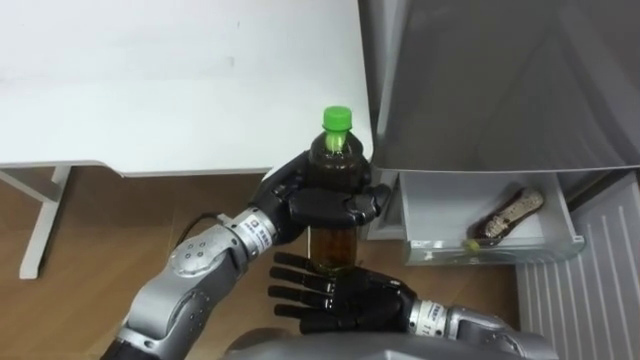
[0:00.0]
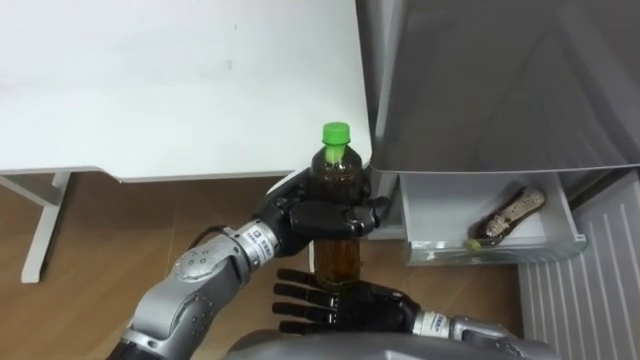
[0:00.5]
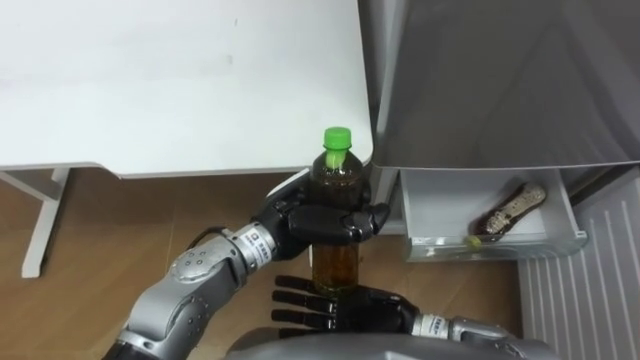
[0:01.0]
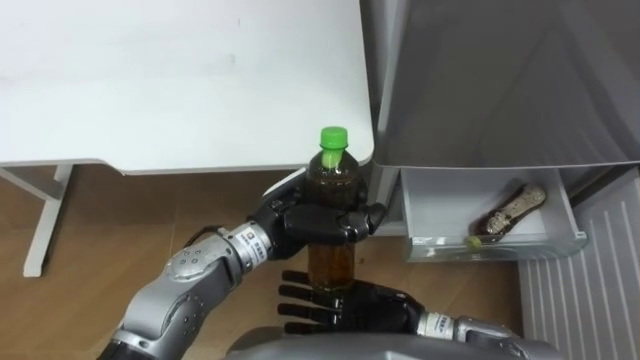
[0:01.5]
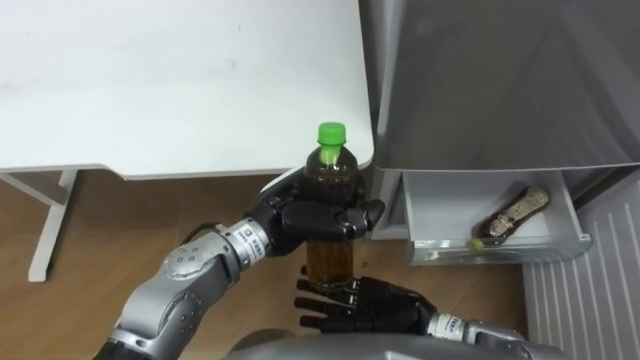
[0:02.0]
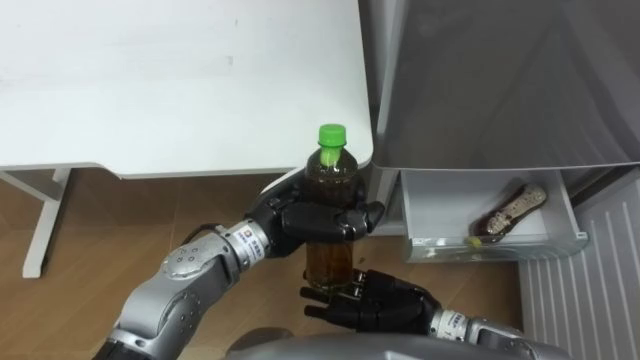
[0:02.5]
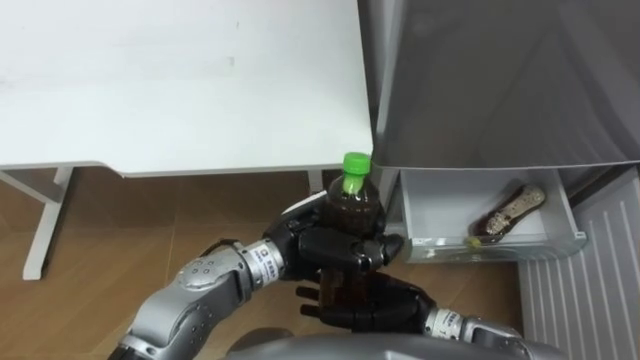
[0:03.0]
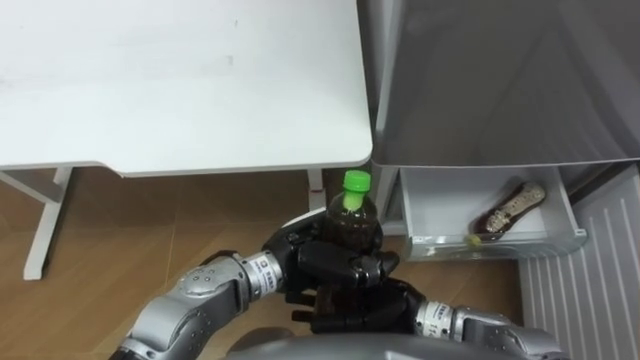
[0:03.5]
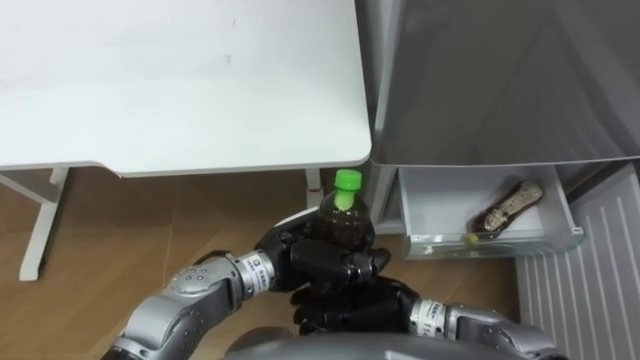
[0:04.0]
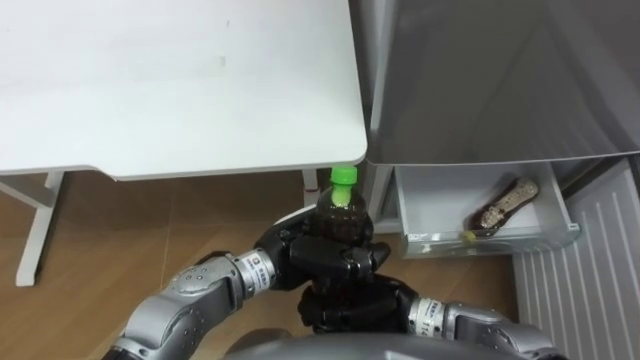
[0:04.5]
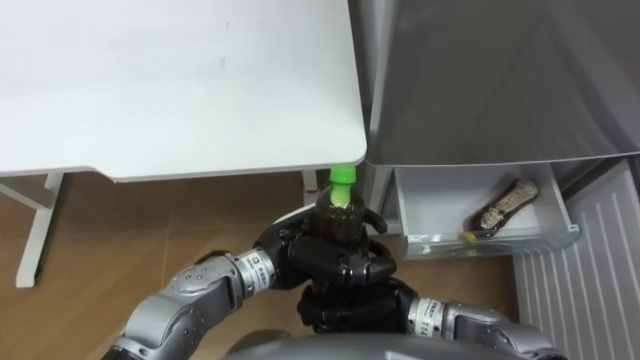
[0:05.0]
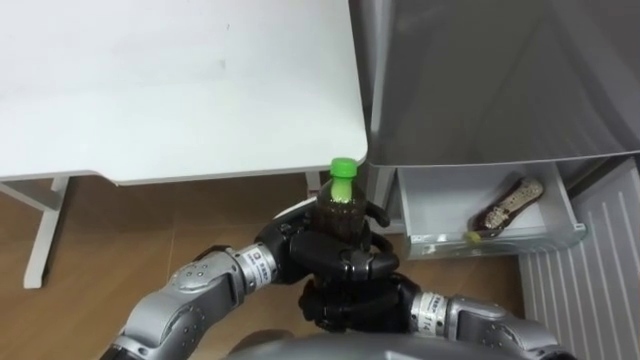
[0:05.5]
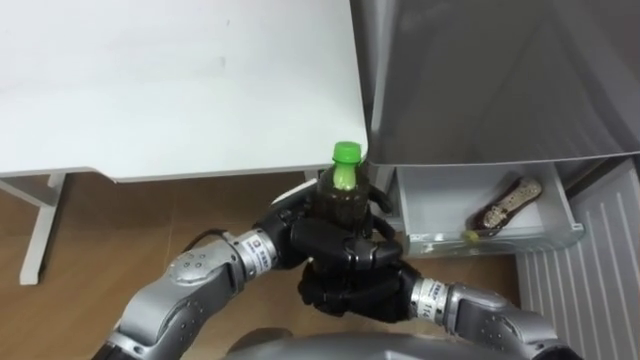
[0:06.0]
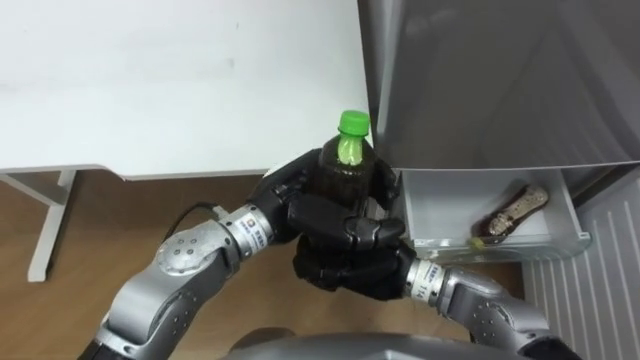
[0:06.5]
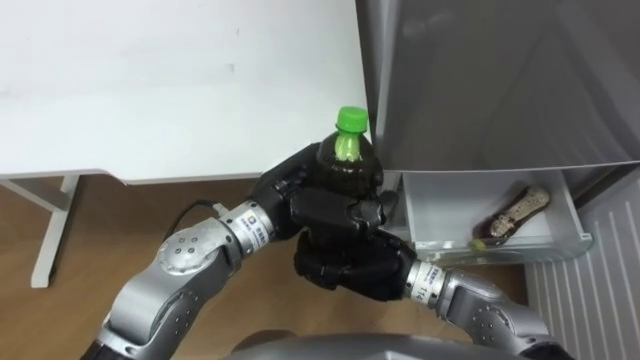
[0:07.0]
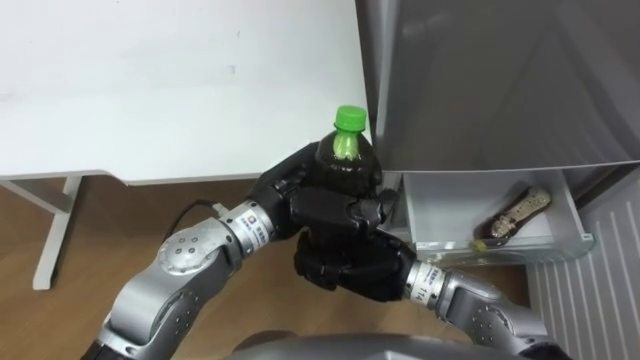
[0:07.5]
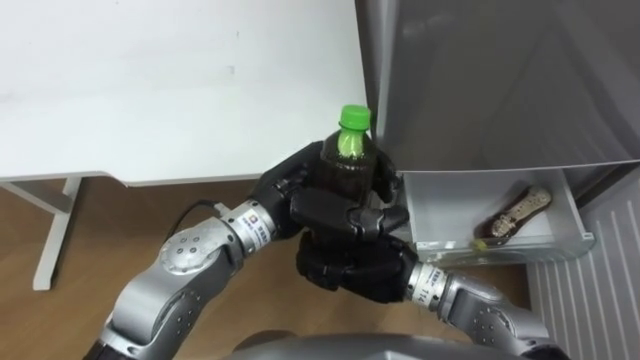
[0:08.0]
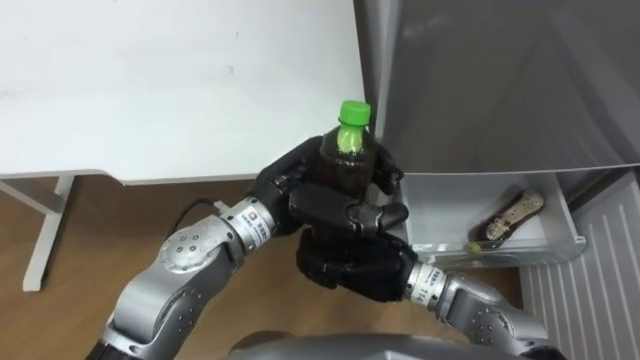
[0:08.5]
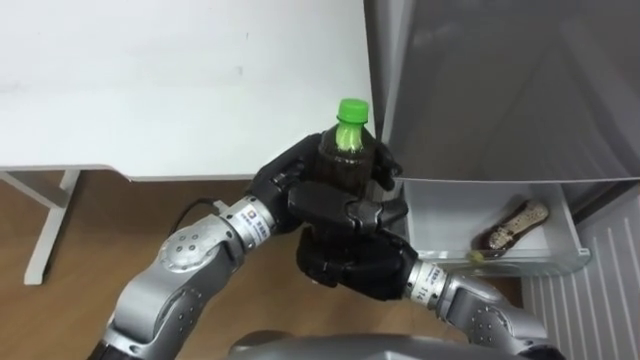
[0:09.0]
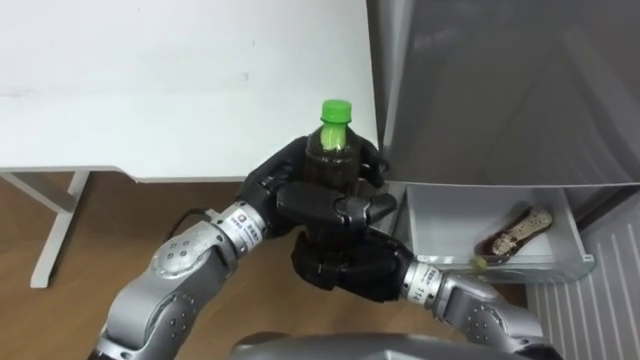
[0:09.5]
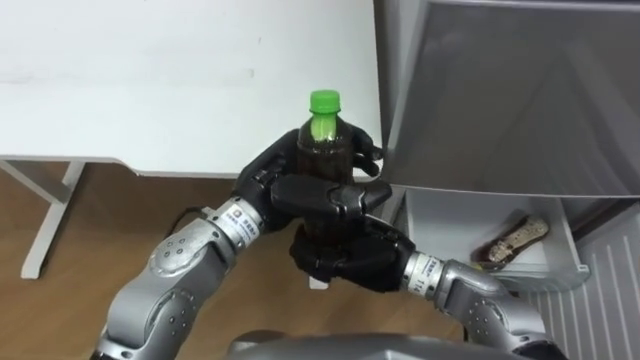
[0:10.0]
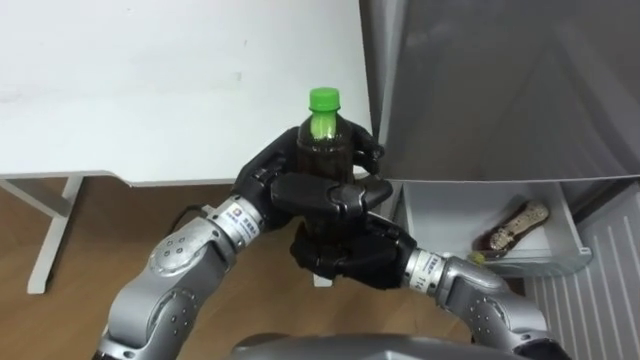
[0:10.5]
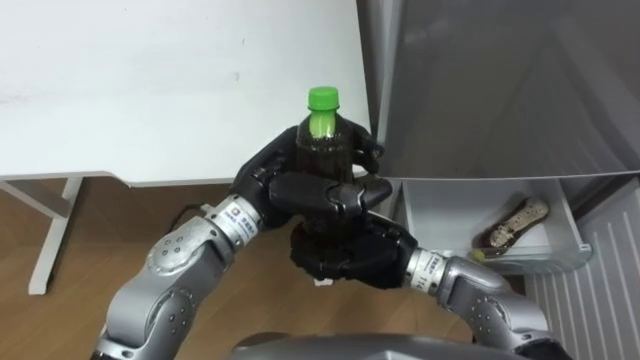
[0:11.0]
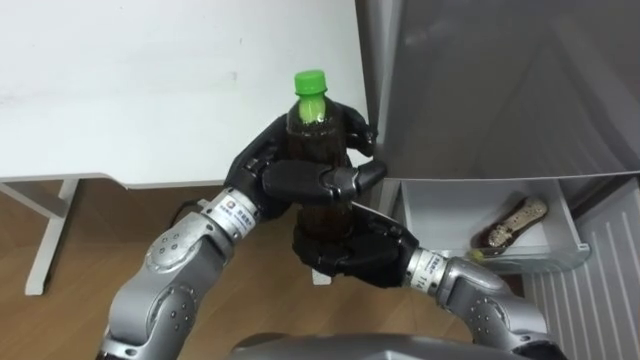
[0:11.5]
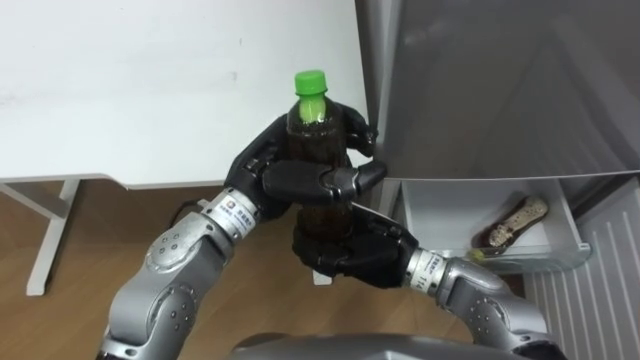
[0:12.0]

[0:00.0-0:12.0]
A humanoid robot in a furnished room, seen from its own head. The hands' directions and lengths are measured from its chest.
Task of the whole recording: Place the drink on the table on the bottom shelf of the refrigerator, then close the drawer and the refrigerator door.
0:00.0 to 0:02.0: The hands stay close to where they were, moving slightly.
0:02.0 to 0:04.0: The left hand ends up about 5 cm from where it was. Meanwhile the right hand closes its fingers.
0:04.0 to 0:06.0: The hands move only a little.
0:06.0 to 0:08.0: The left hand moves about 5 cm.

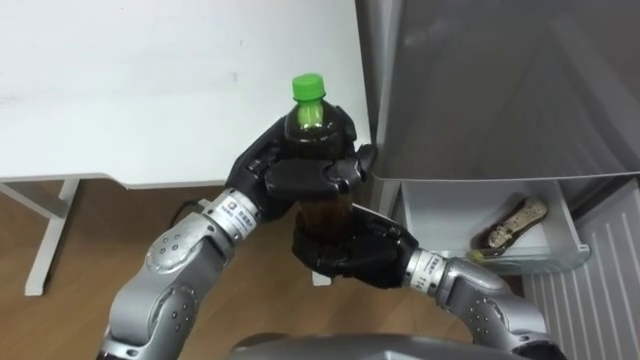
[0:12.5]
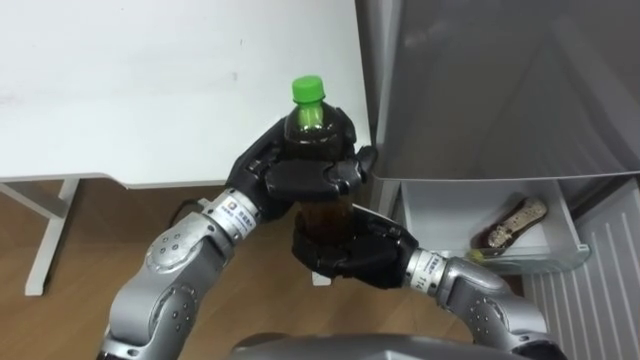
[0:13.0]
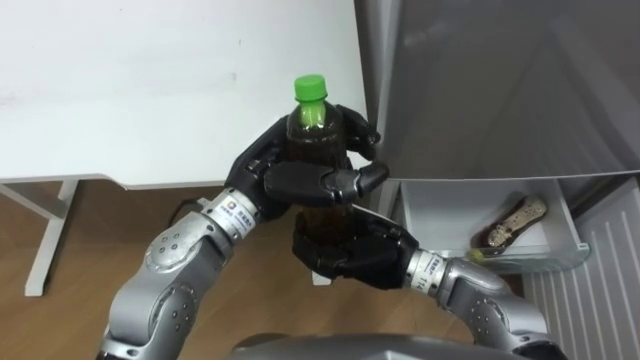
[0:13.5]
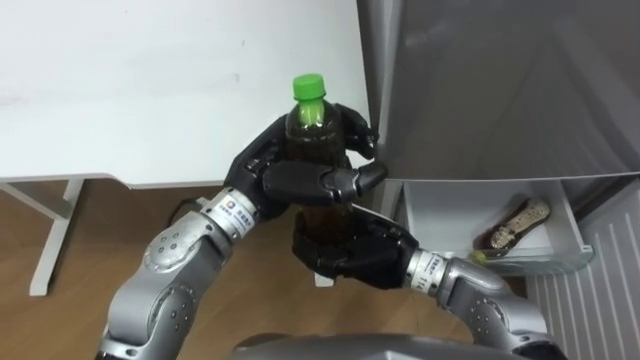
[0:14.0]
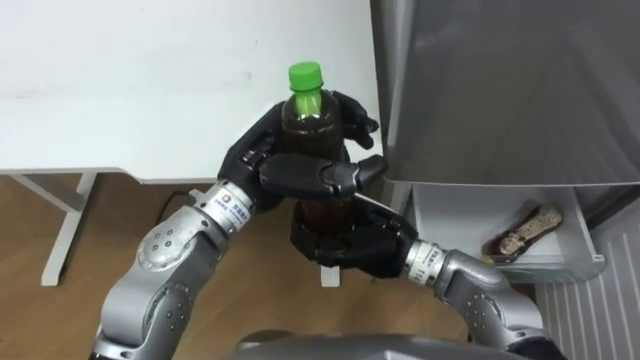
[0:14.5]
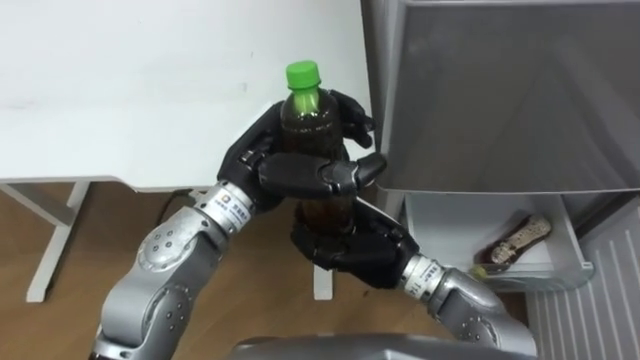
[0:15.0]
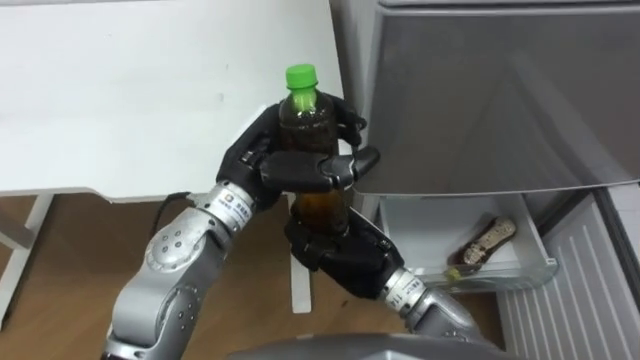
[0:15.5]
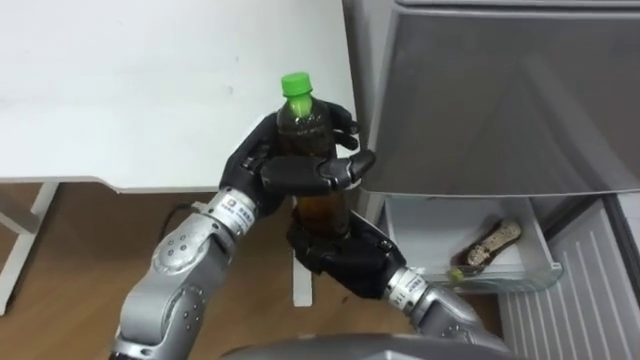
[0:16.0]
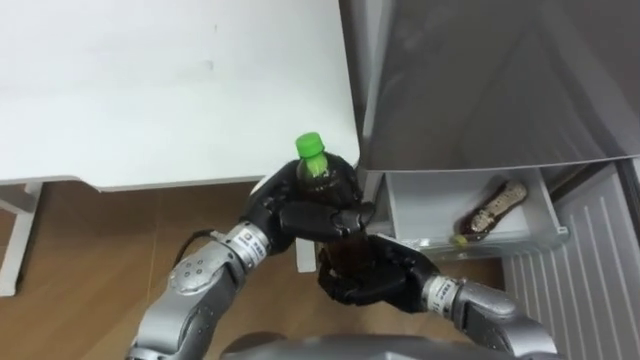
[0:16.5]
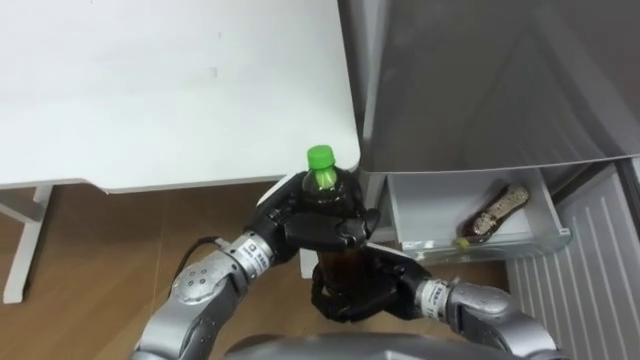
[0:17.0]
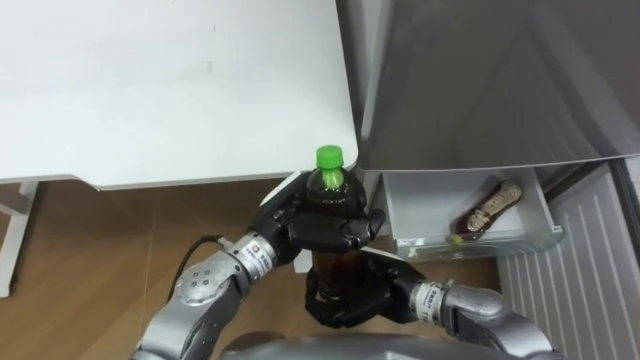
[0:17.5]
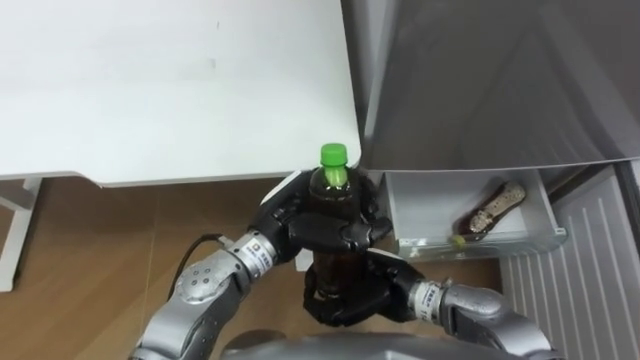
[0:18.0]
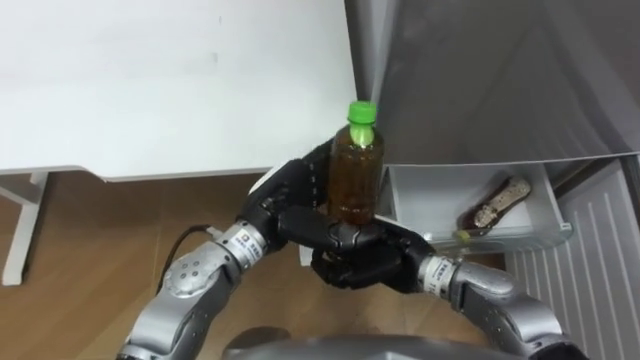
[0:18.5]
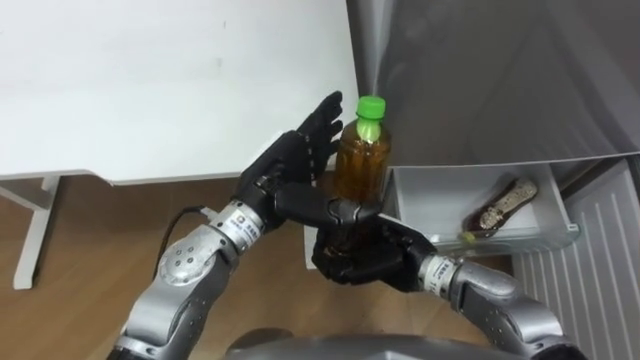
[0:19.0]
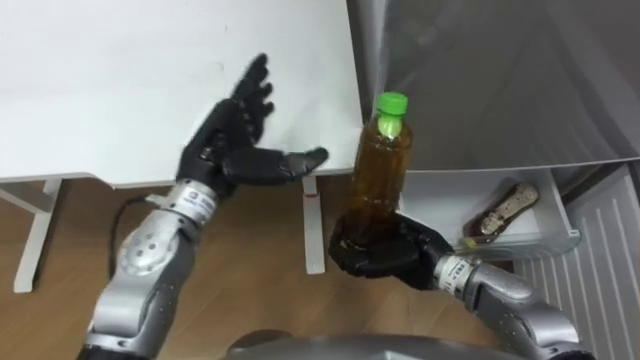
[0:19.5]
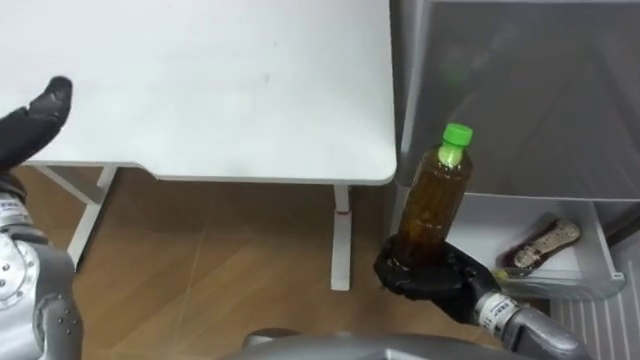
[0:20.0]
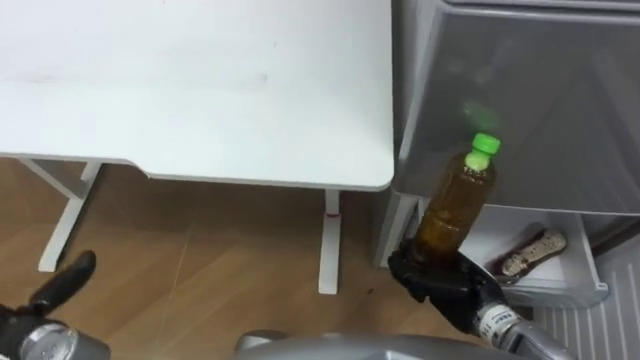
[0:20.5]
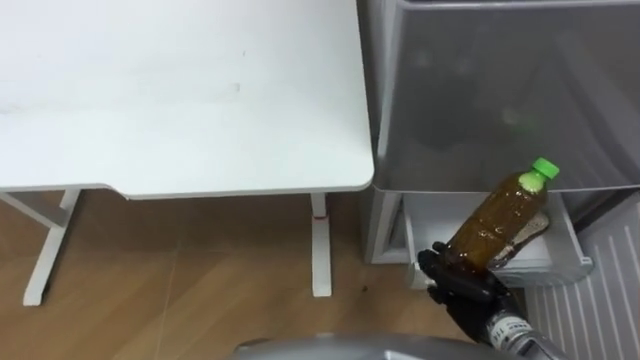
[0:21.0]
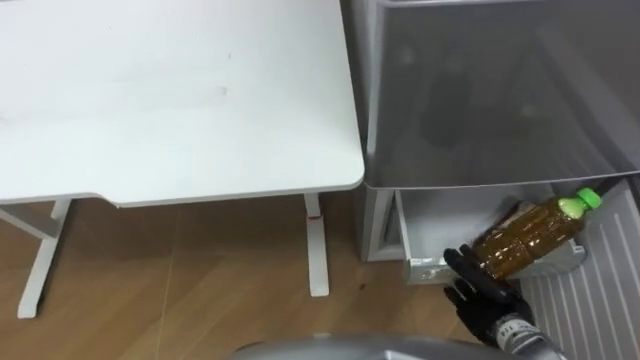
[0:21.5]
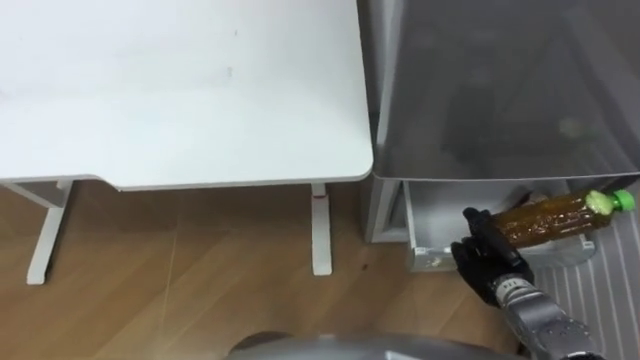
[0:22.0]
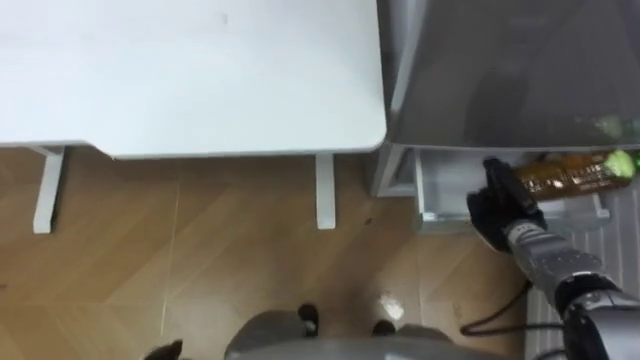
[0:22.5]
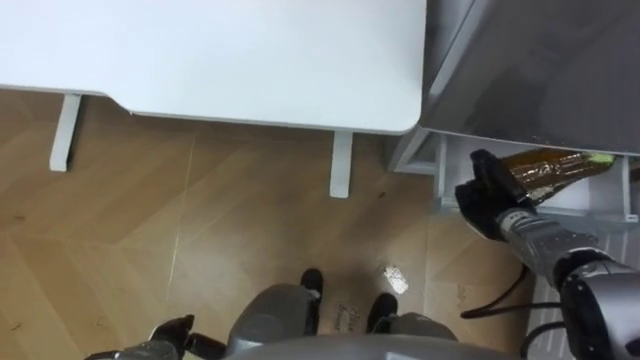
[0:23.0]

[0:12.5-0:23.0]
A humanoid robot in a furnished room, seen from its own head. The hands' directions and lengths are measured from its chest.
Task of the whole recording: Place the drink on the table on the bottom shelf of the refrigerator, then close the drawer and the refrigerator door.
0:14.5 to 0:16.5: The hands both shift downward by roughly 10 cm.
0:16.5 to 0:19.0: The left hand opens up.
0:19.0 to 0:21.0: The right hand shifts about 15 cm to the right, downward and backward.
0:21.0 to 0:23.0: The right hand goes about 15 cm forward.
